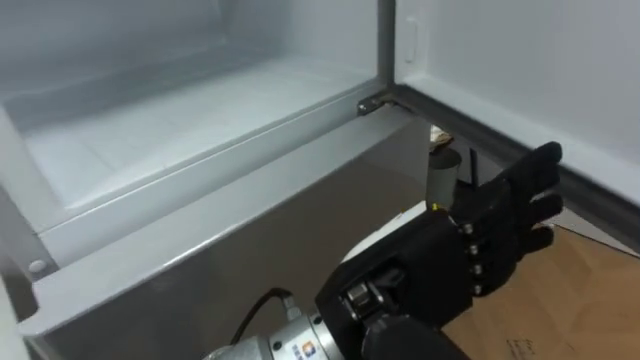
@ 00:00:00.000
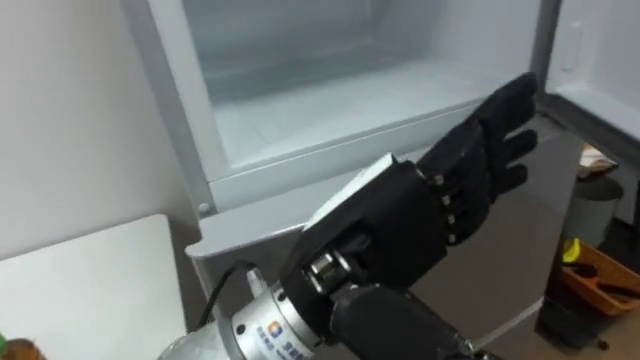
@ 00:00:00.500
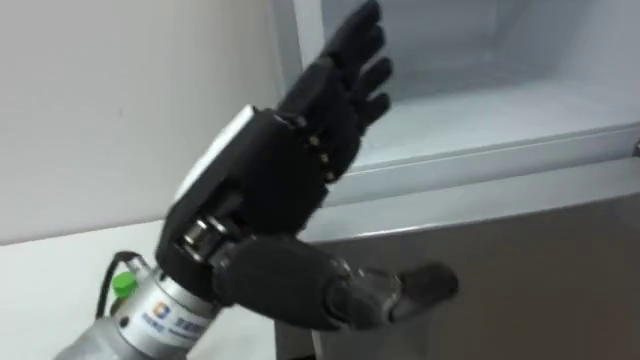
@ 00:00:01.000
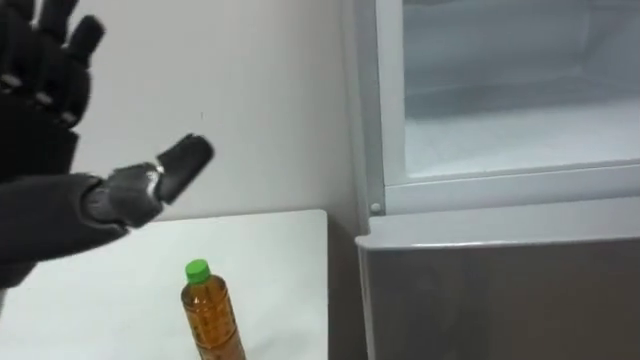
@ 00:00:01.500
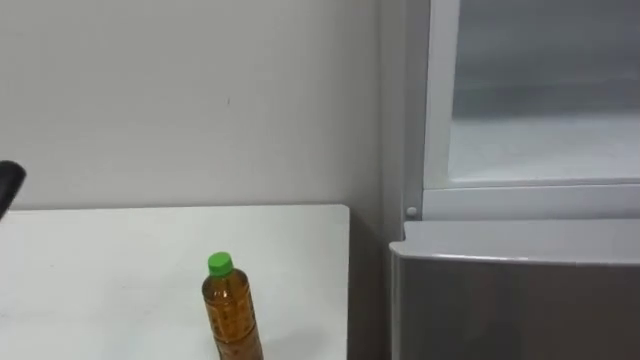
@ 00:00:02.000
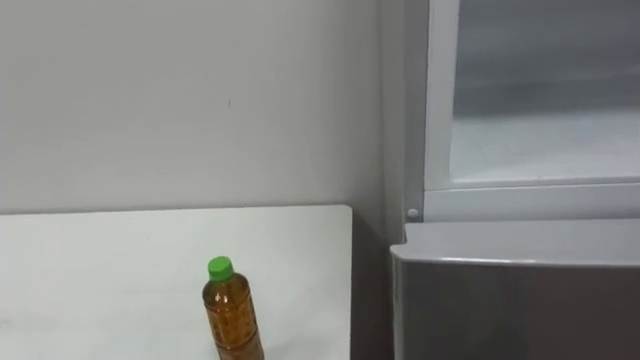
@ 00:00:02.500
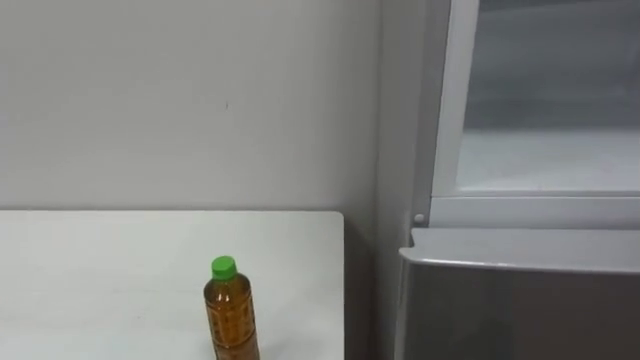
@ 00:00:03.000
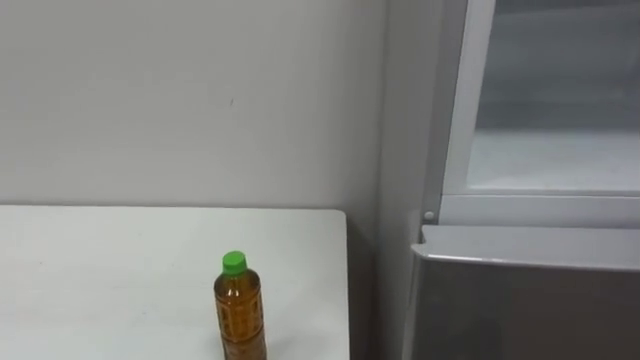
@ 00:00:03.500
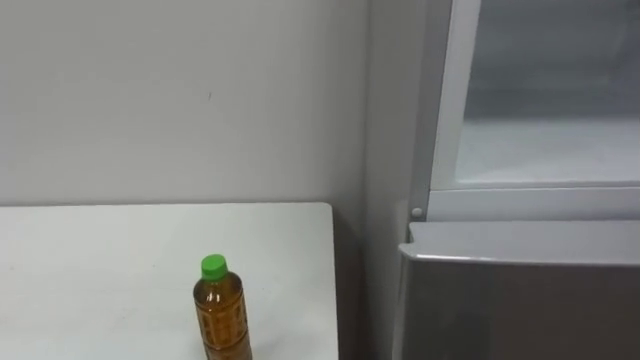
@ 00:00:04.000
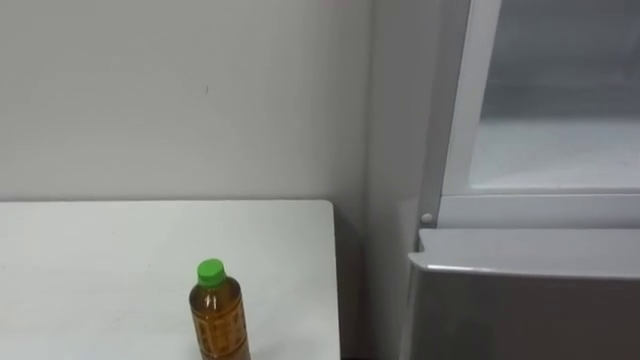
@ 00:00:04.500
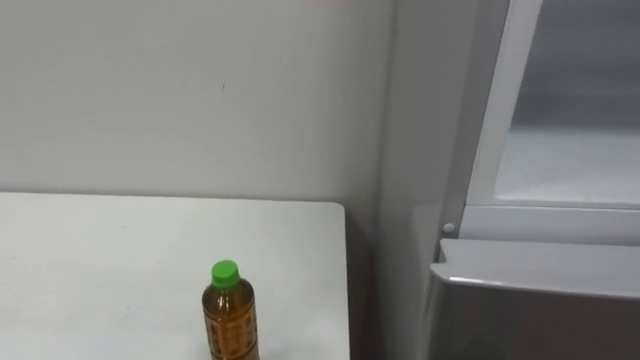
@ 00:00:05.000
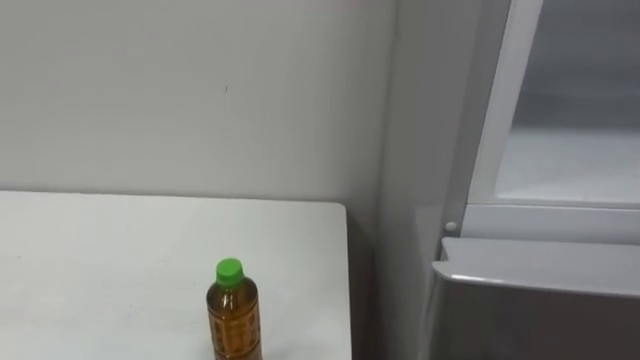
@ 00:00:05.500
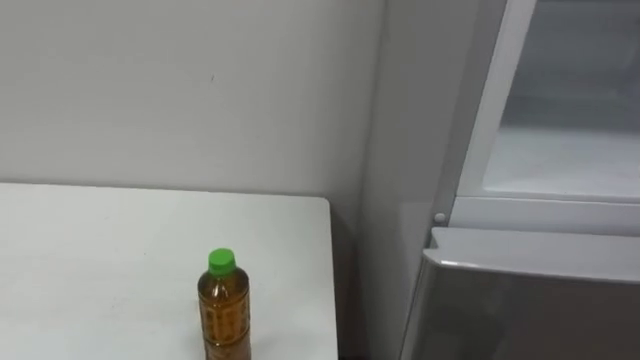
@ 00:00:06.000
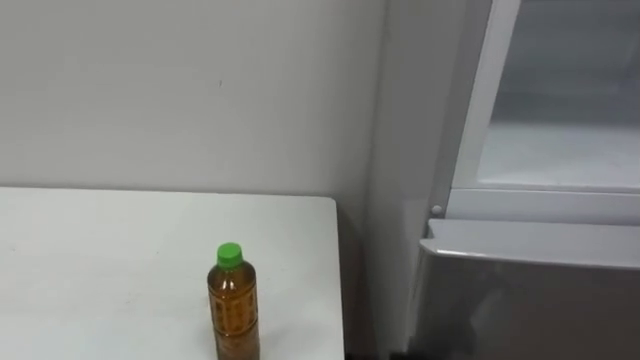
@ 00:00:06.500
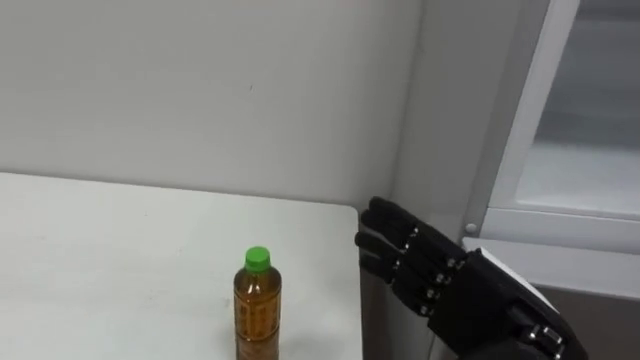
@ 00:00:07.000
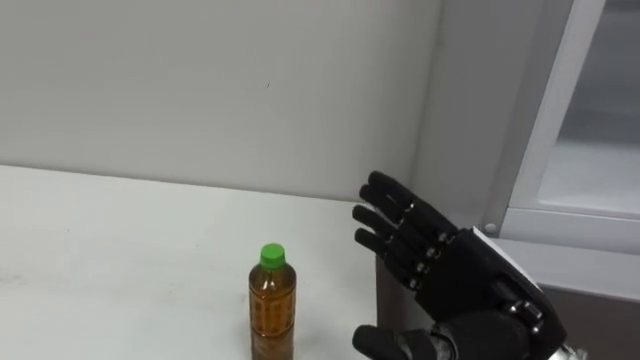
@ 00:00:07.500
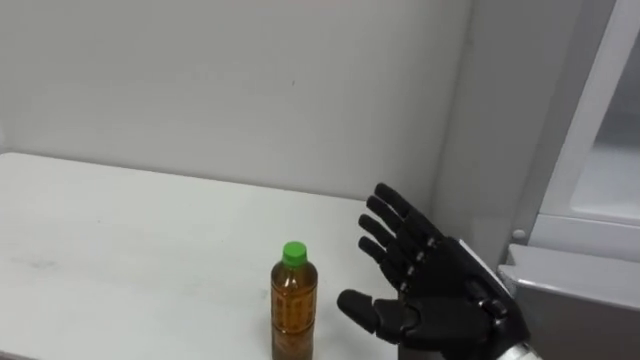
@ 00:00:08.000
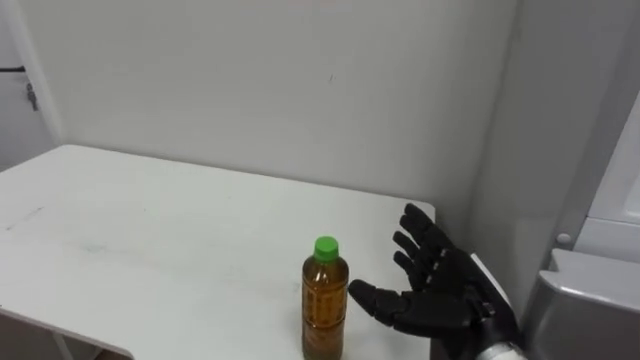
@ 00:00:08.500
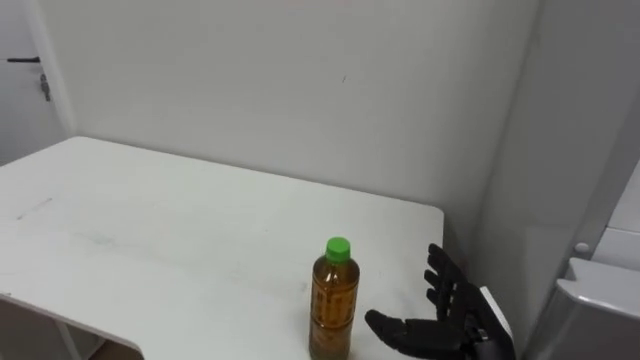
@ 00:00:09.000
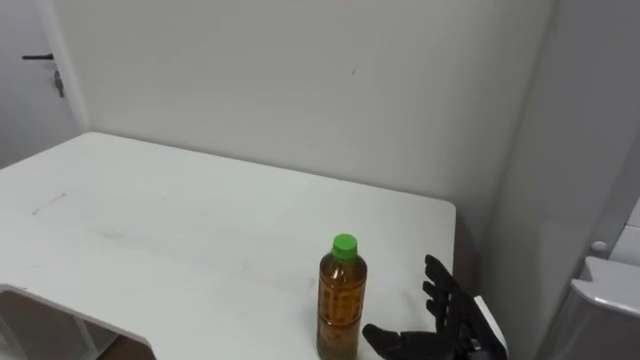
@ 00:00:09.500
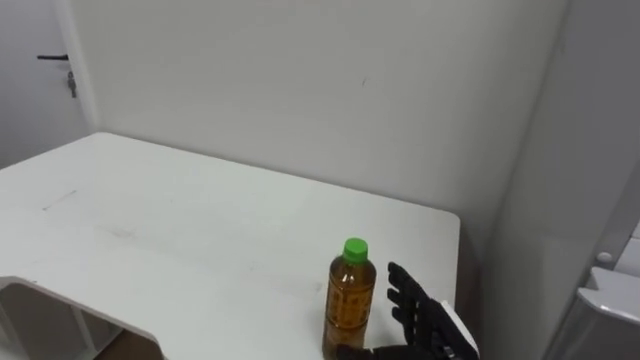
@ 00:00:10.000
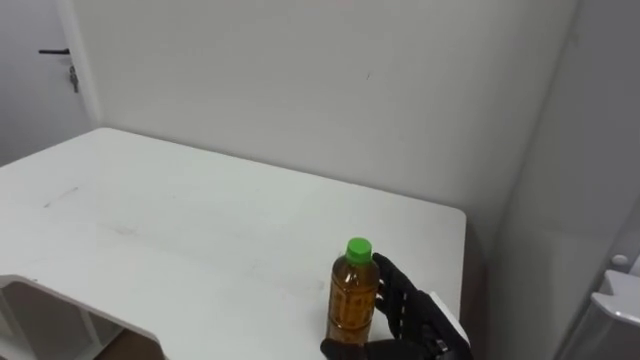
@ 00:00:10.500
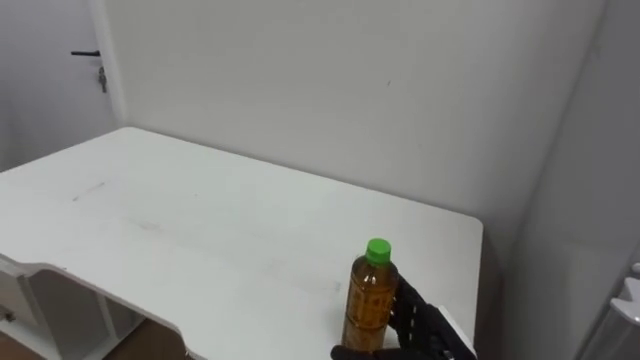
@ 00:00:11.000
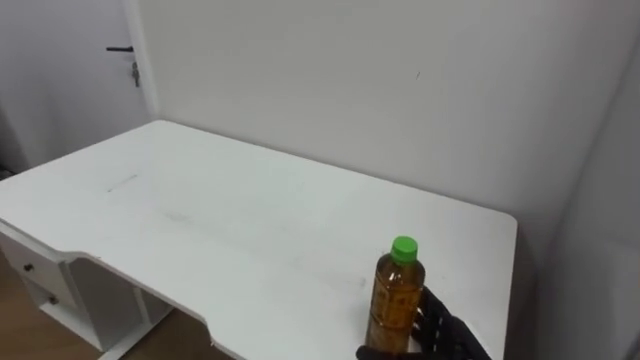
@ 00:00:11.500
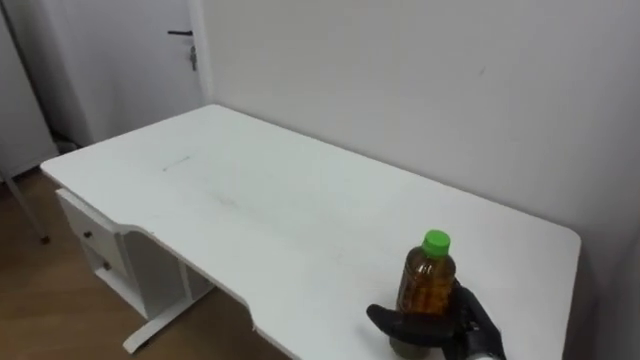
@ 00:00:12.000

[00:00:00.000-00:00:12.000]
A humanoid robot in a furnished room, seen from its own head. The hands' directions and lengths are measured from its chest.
Task of the whole recording: Open the upper refrigerator door, put the drink from the table into the refrigerator, and then close the refrigerator door.
00:00:08.000 to 00:00:10.000: The right hand goes roughly 10 cm downward.

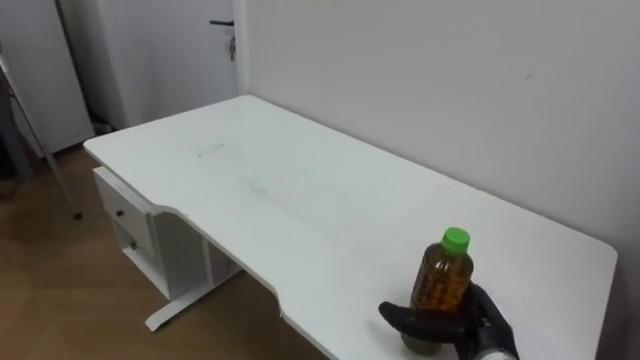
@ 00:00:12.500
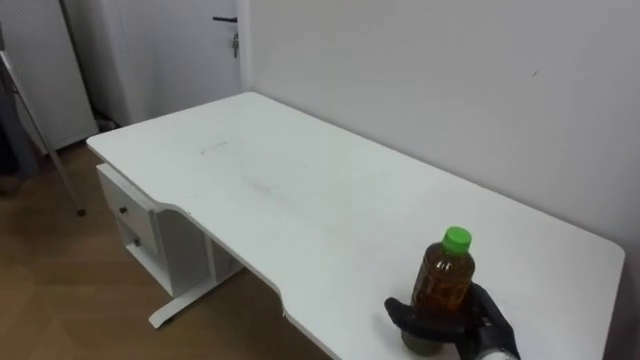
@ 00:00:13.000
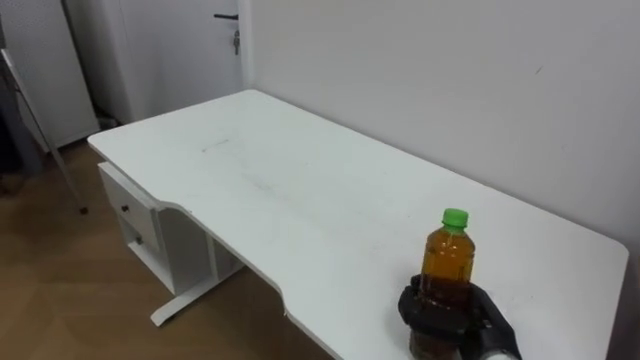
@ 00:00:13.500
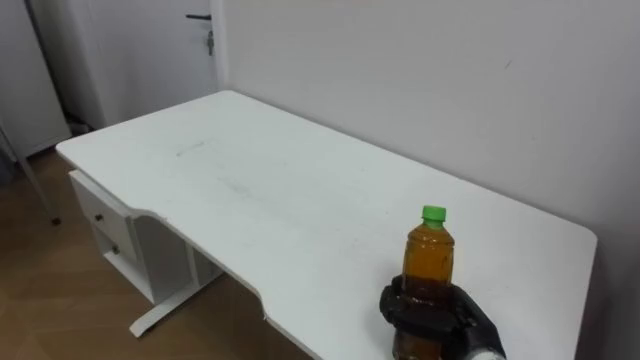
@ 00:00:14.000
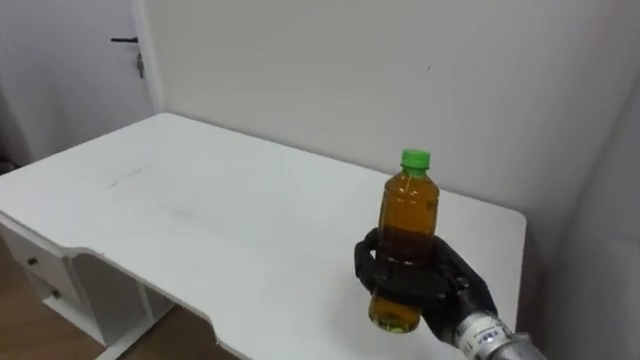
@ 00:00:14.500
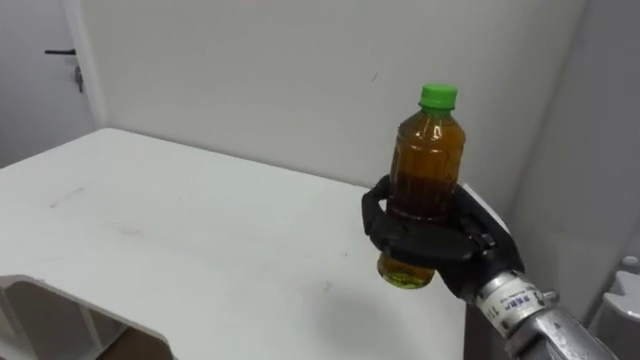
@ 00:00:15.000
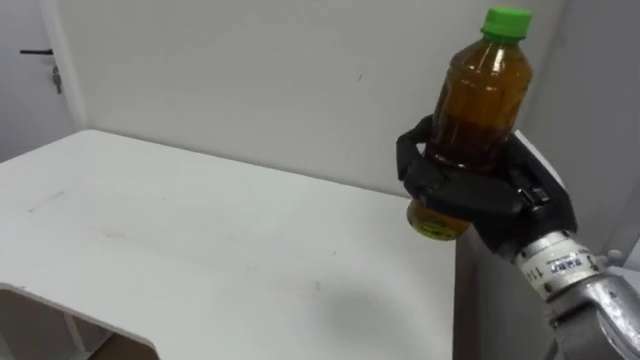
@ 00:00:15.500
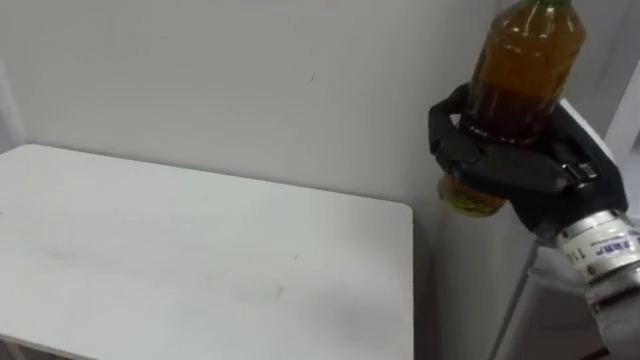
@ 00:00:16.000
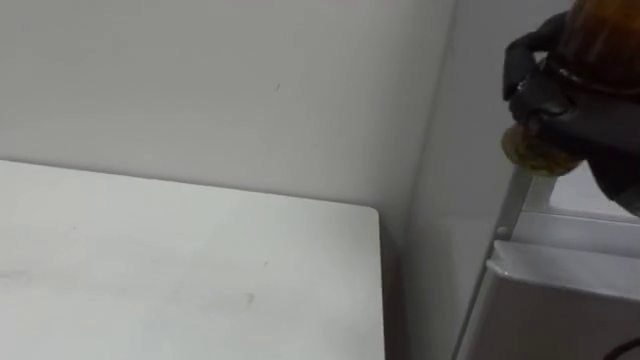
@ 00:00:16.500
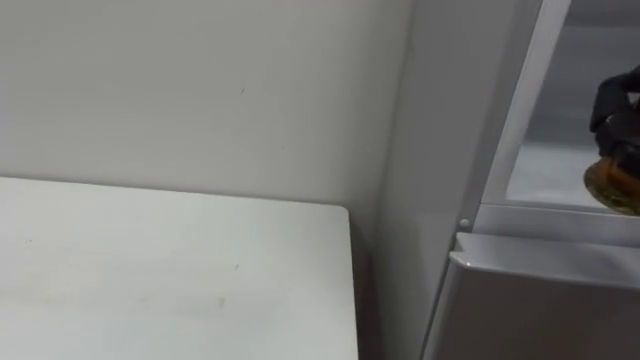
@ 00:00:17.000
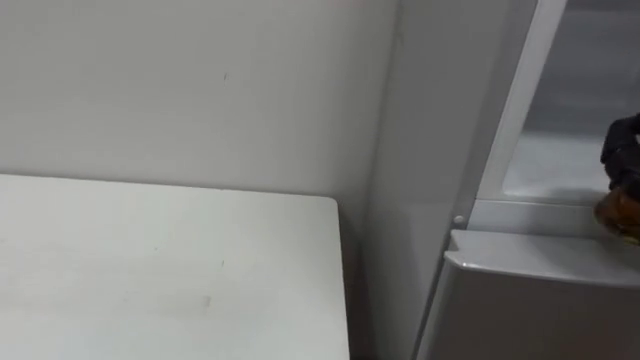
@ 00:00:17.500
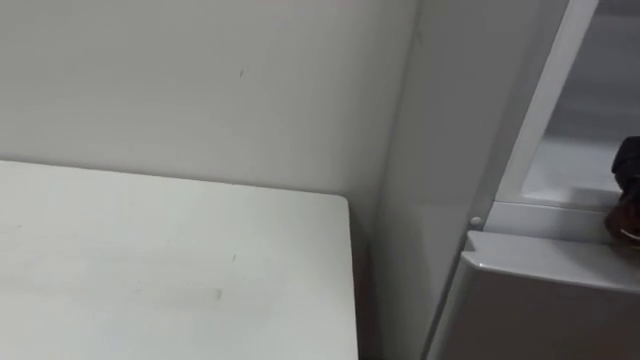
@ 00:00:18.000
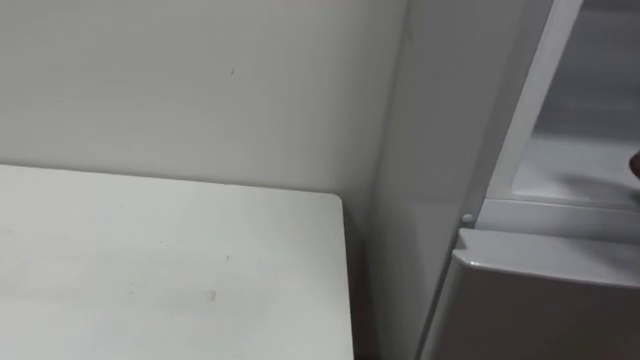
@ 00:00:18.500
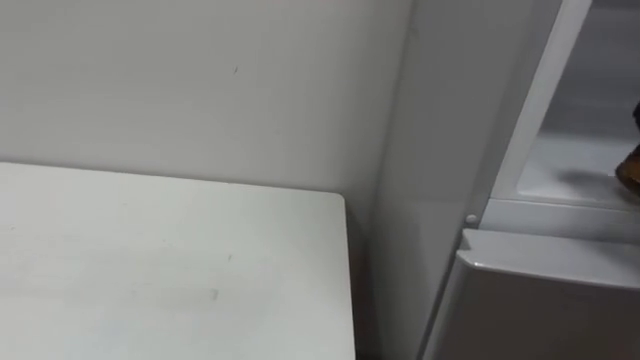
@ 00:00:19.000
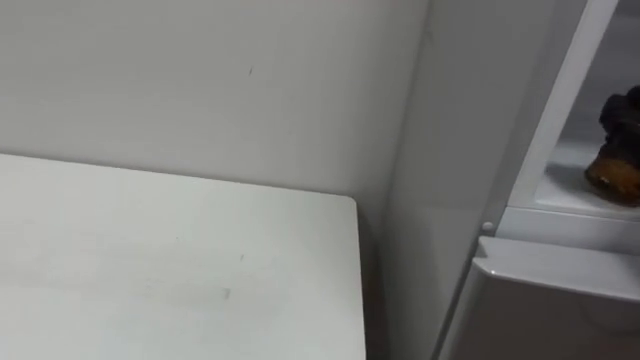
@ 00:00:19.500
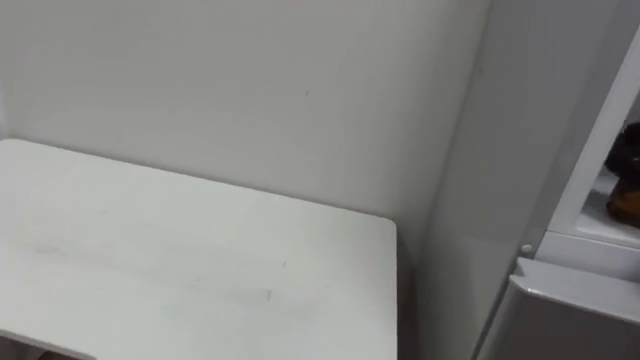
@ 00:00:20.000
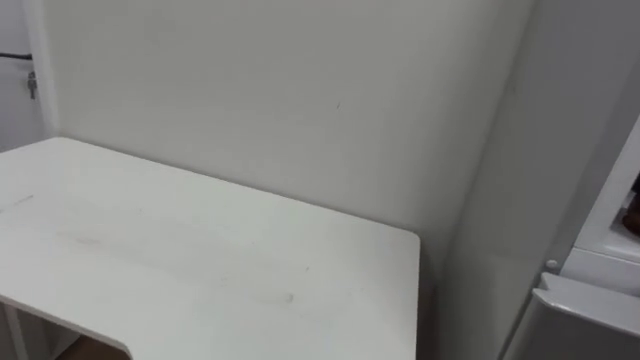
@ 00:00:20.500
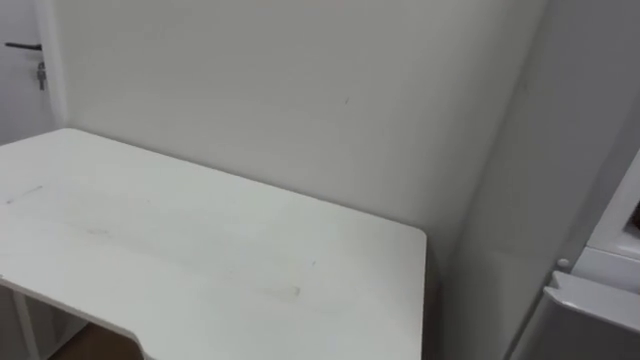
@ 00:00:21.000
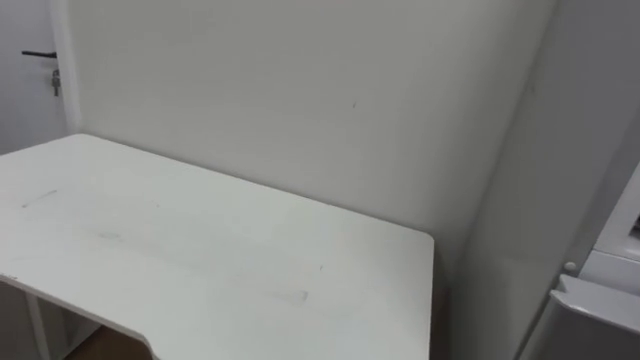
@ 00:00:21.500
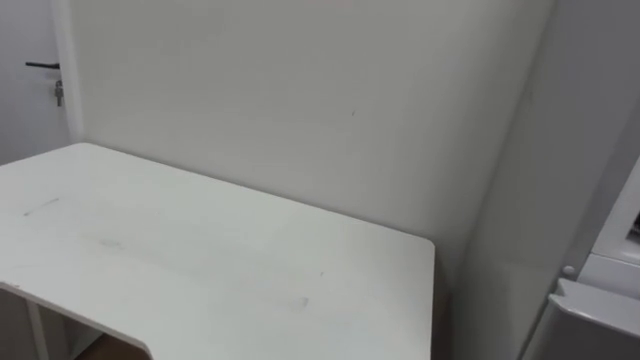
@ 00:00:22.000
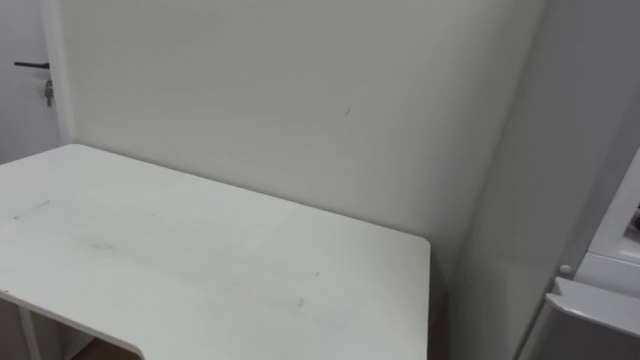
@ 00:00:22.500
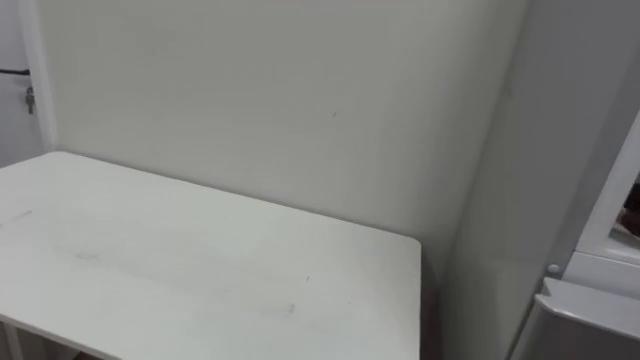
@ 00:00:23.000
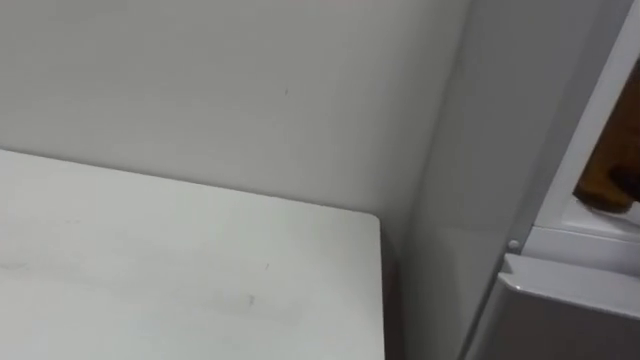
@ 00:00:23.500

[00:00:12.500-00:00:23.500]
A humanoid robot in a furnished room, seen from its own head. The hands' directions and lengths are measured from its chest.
Task of the whole recording: Open the upper refrigerator door, put the drink from the table into the refrigerator, and then close the refrigerator door.
00:00:12.500 to 00:00:14.500: The right hand shifts approximately 10 cm upward, and closes up.
00:00:14.500 to 00:00:16.000: The right hand moves upward, about 15 cm.
